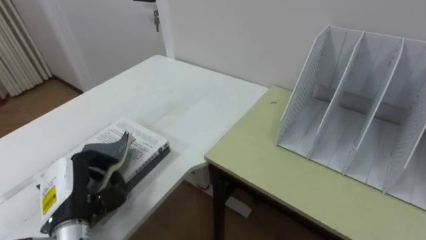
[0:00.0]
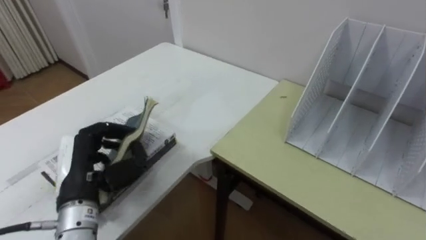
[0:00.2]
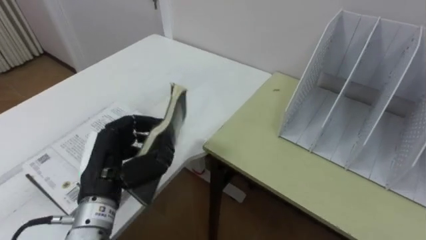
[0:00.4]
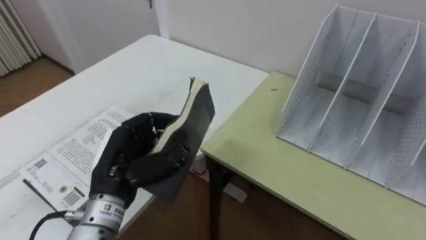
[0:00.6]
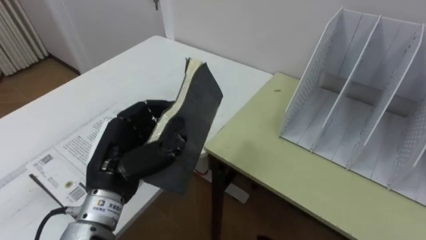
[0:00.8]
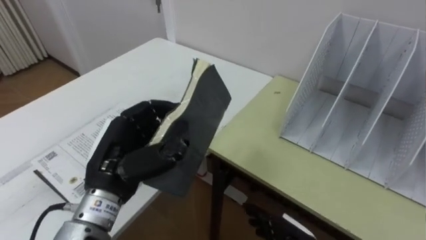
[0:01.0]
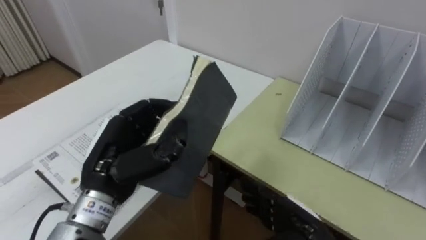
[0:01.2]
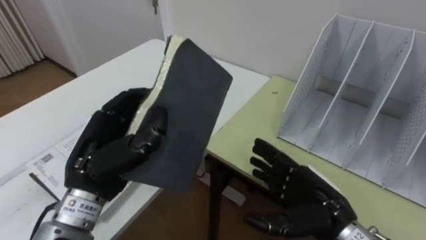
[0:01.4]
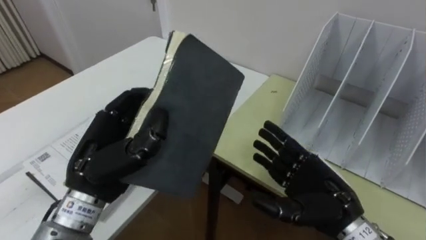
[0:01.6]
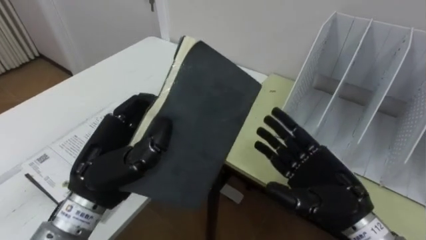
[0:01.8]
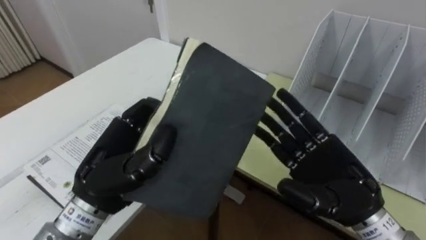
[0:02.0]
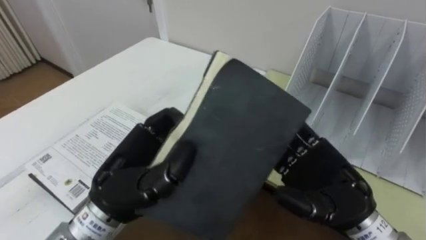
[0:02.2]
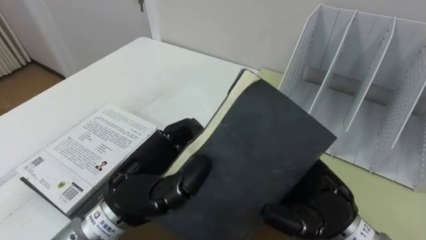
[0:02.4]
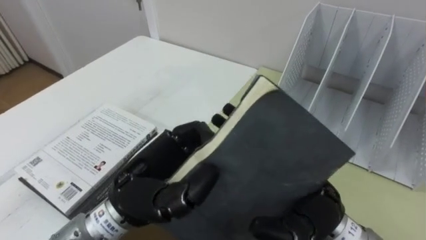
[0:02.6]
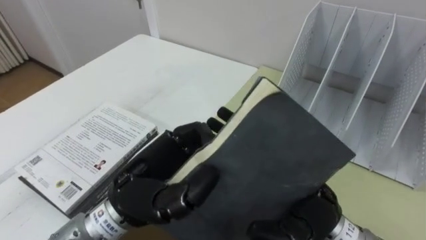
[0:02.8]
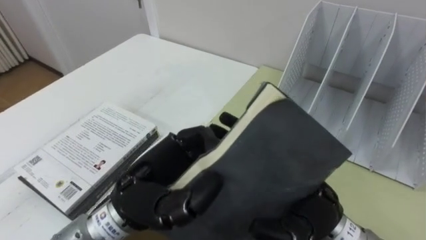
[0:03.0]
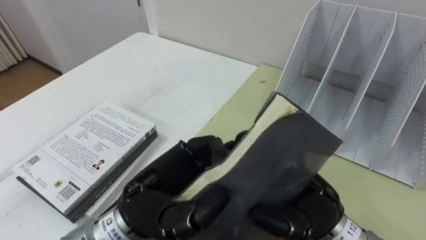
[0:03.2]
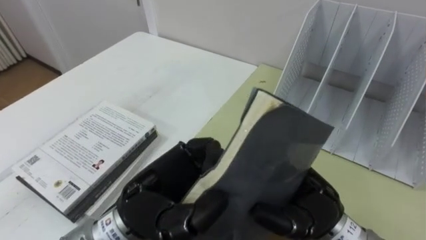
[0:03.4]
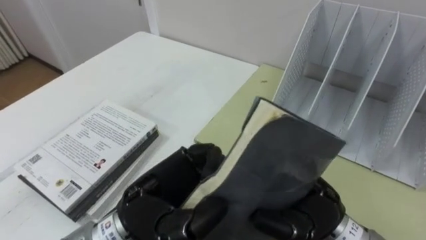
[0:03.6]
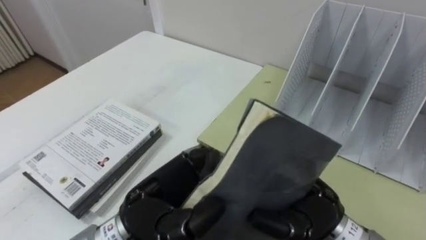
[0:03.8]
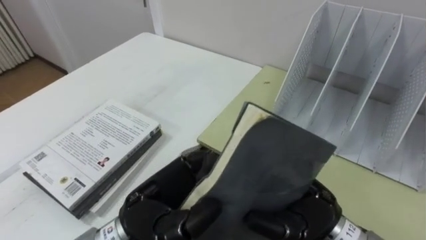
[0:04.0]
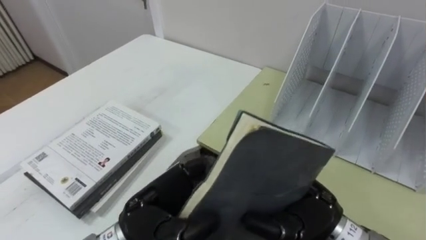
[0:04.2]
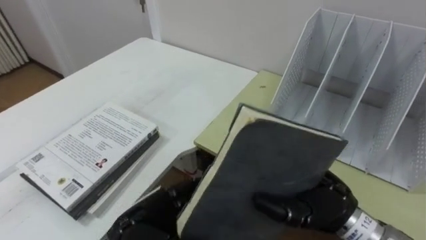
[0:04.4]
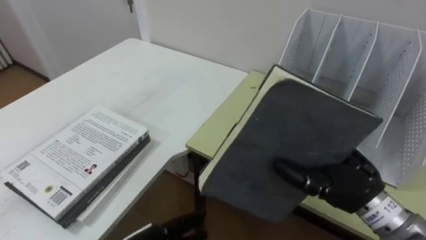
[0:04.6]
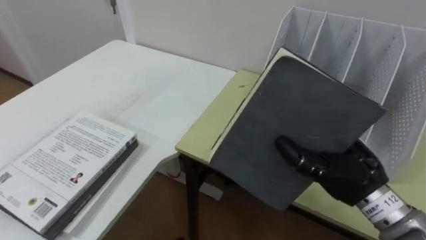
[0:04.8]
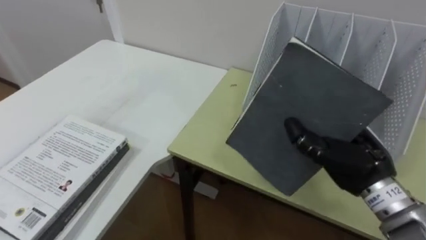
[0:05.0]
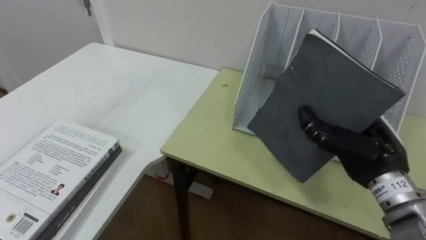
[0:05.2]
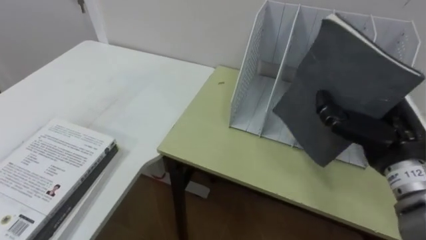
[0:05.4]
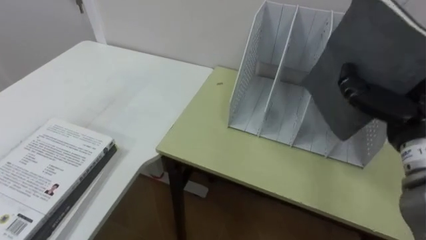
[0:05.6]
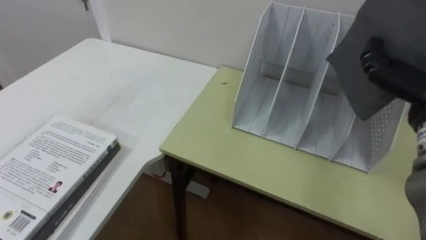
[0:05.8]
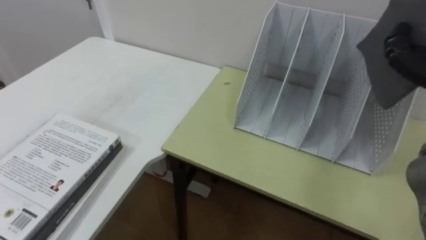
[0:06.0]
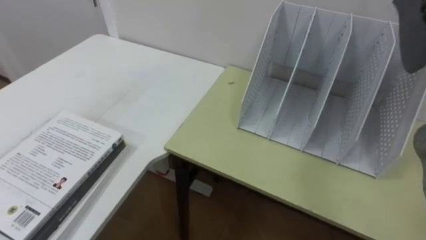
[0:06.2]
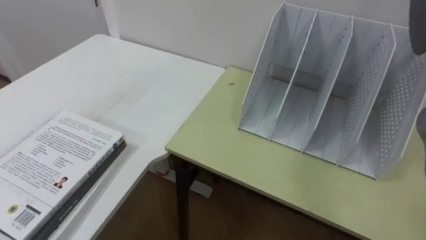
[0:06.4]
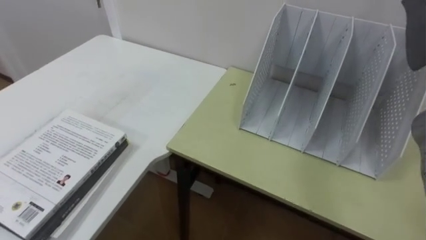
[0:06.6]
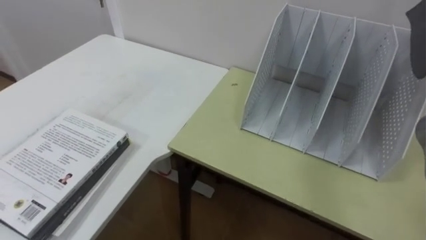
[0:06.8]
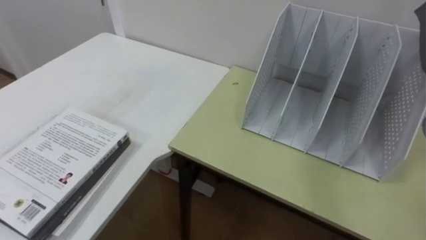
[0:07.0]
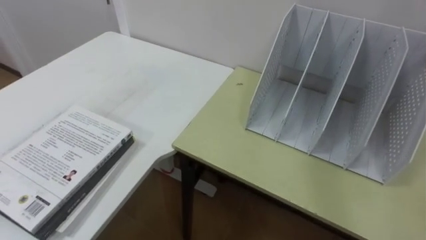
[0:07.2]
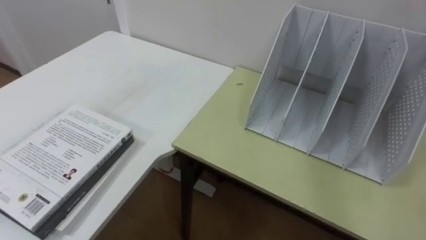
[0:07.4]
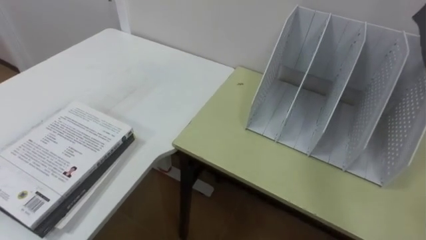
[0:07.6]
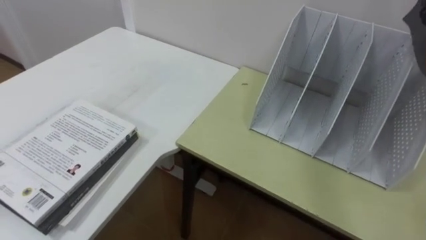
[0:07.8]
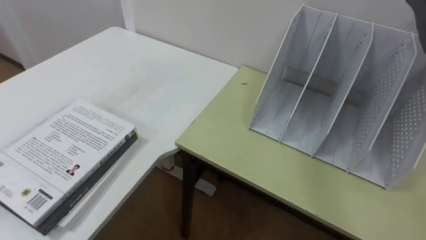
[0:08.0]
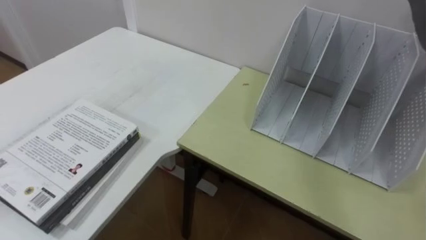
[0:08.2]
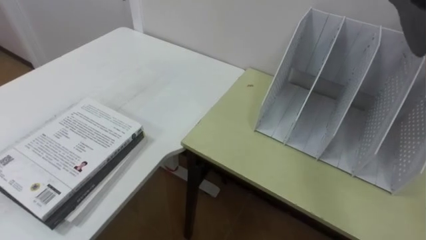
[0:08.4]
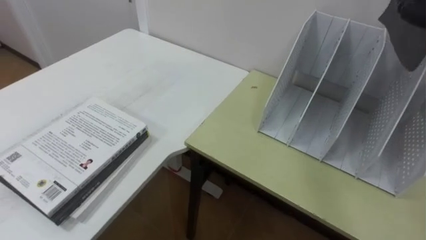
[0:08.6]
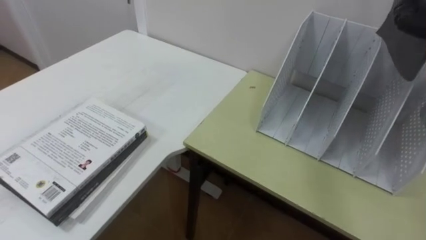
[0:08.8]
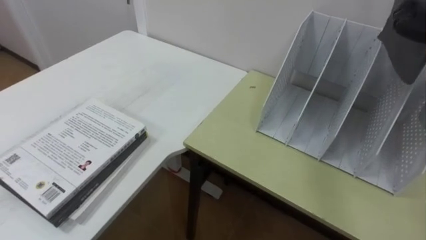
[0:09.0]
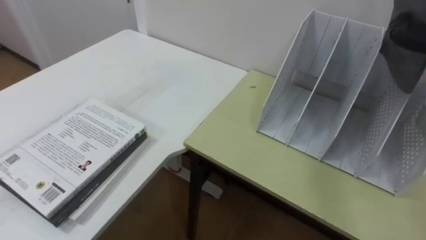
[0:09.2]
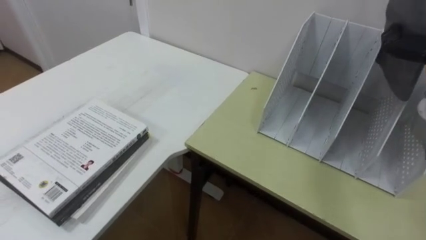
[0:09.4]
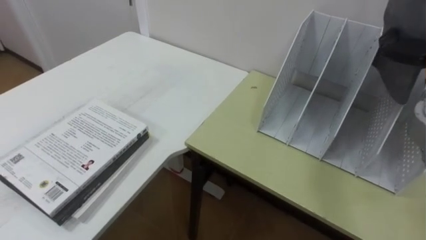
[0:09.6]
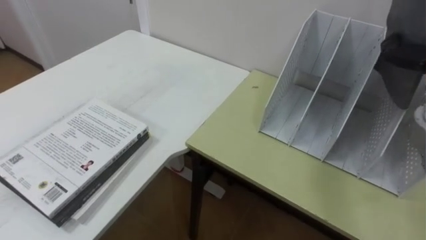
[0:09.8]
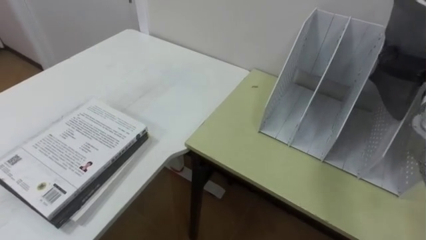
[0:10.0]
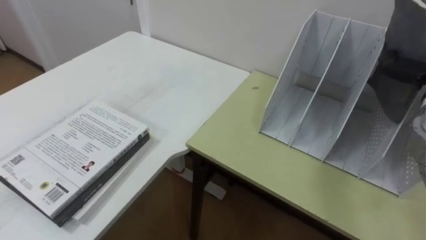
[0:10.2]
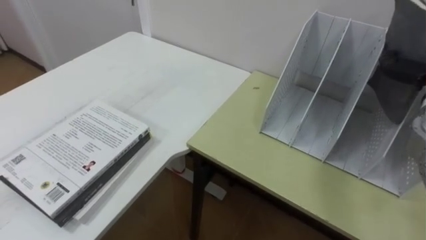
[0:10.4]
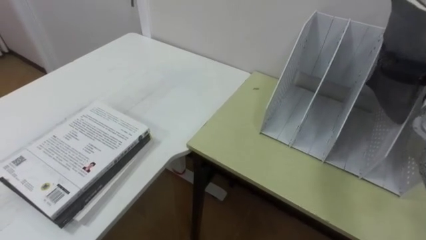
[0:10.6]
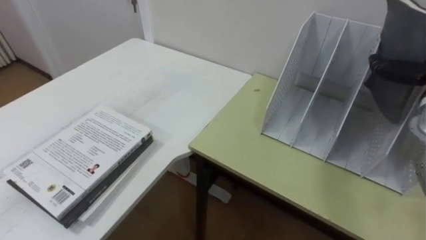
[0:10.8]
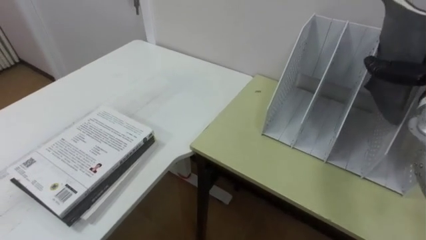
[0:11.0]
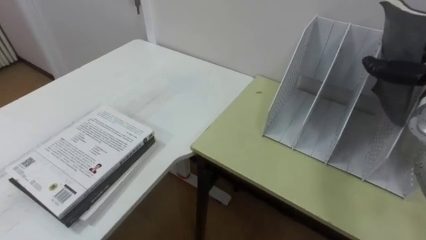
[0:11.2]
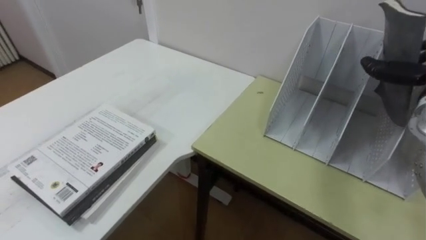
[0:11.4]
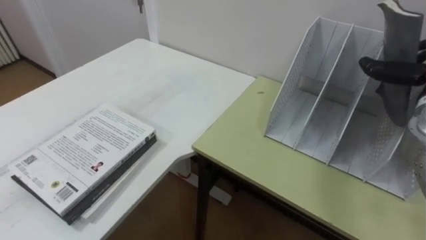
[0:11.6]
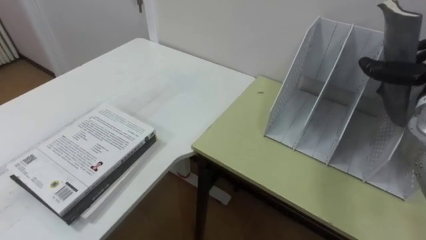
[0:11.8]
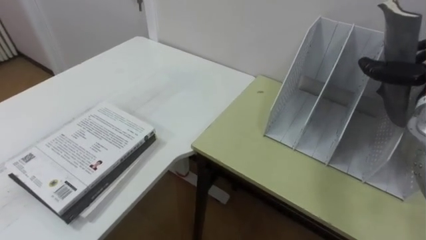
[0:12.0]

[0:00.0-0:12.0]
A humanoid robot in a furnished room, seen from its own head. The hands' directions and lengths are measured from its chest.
Task of the whole recording: Put the books on the table onto the bookshelf.
0:00.0 to 0:01.6: The left hand shifts some 15 cm upward and to the right.
0:01.6 to 0:03.0: The right hand goes roughly 10 cm to the left and upward. The left hand shifts some 10 cm to the right.
0:03.0 to 0:04.4: The right hand closes up. Meanwhile the left hand moves downward, approximately 10 cm, and opens.

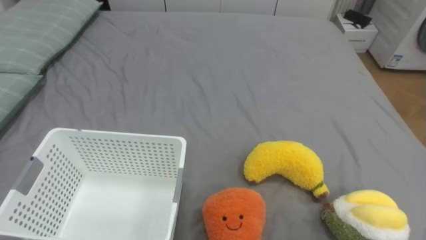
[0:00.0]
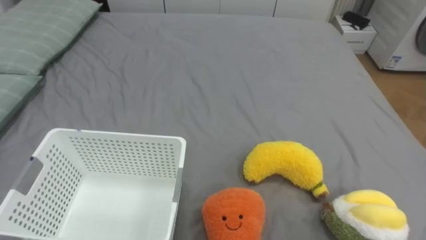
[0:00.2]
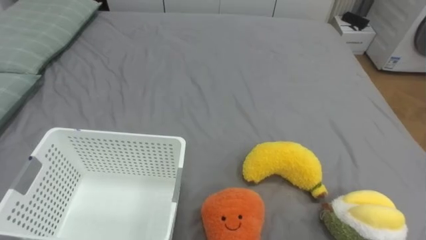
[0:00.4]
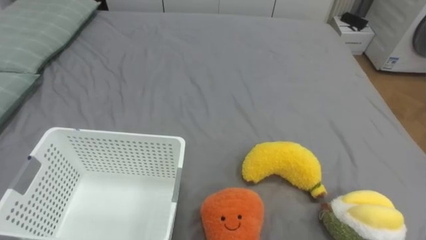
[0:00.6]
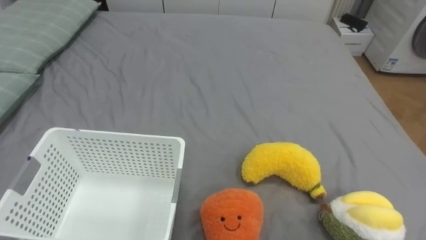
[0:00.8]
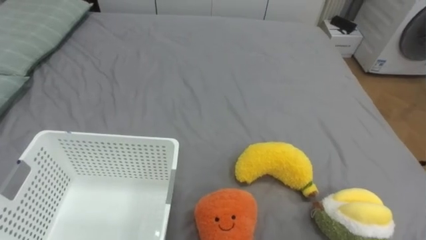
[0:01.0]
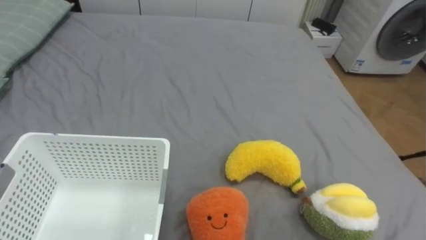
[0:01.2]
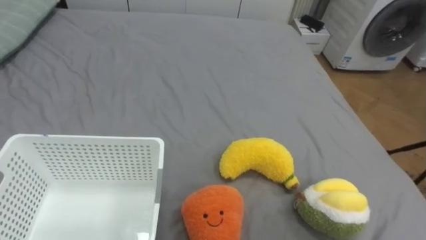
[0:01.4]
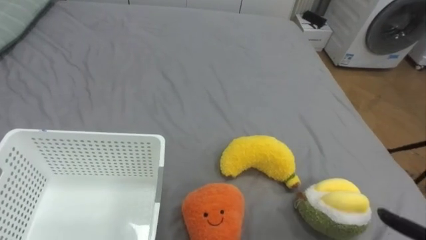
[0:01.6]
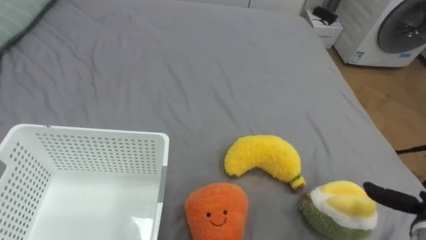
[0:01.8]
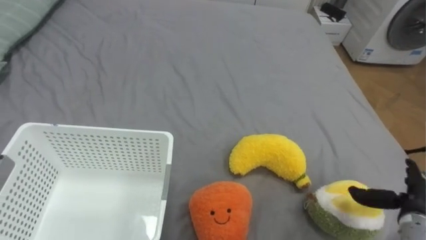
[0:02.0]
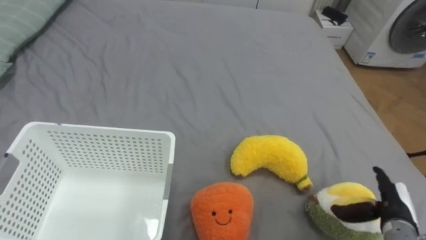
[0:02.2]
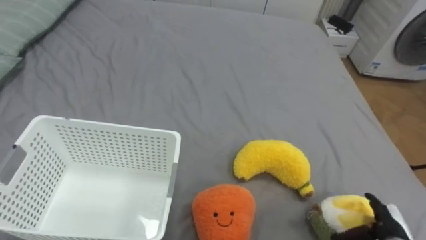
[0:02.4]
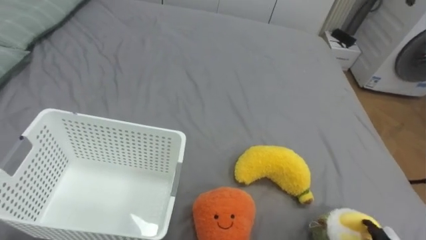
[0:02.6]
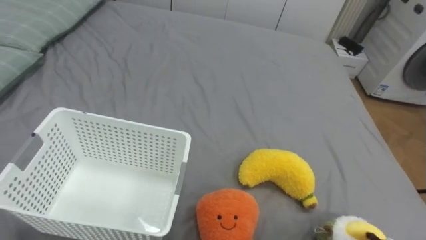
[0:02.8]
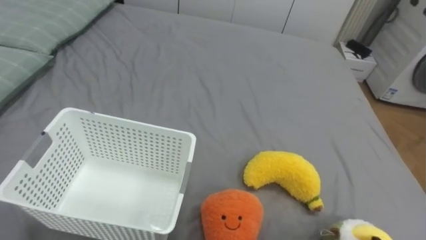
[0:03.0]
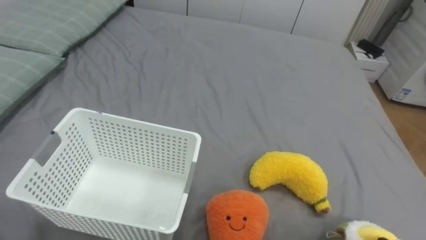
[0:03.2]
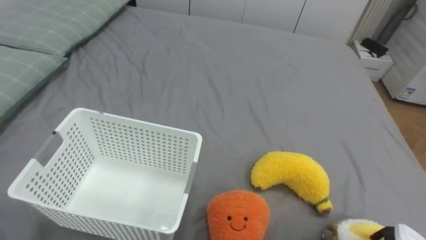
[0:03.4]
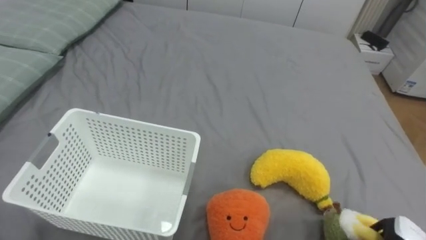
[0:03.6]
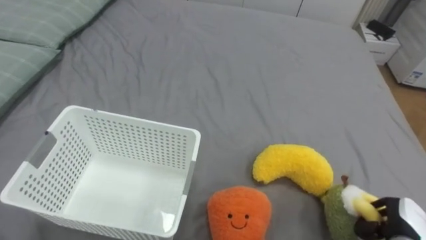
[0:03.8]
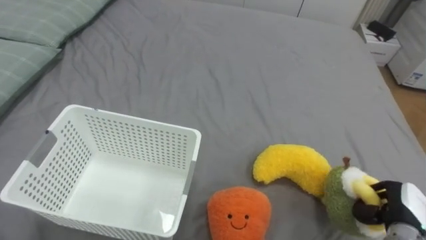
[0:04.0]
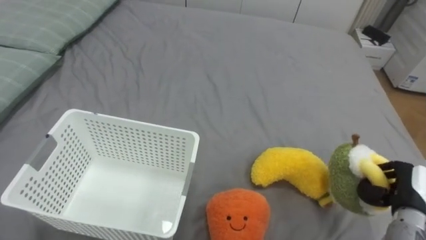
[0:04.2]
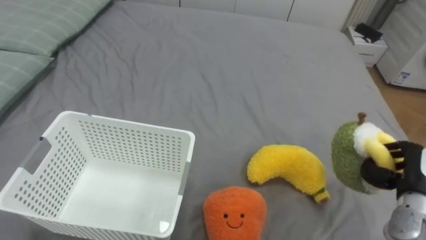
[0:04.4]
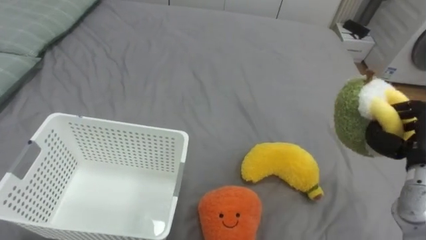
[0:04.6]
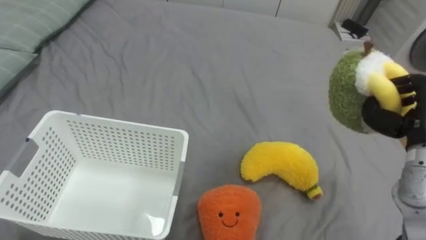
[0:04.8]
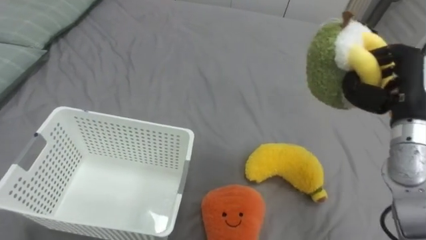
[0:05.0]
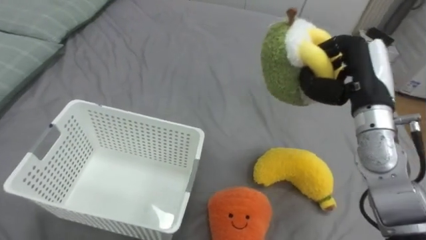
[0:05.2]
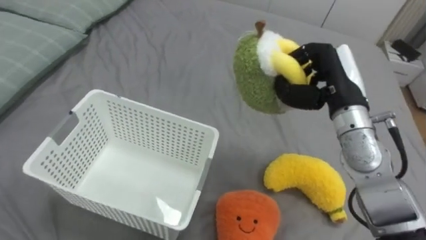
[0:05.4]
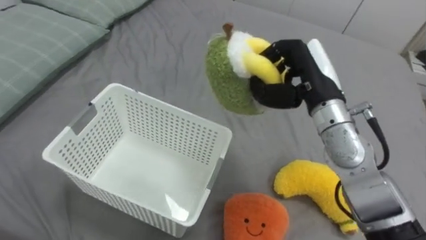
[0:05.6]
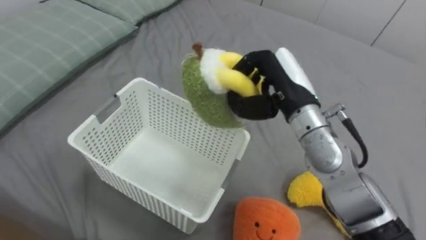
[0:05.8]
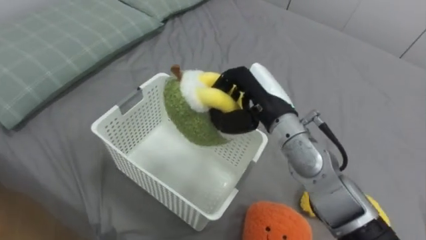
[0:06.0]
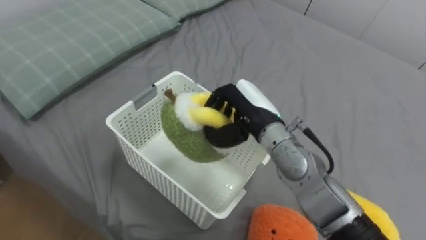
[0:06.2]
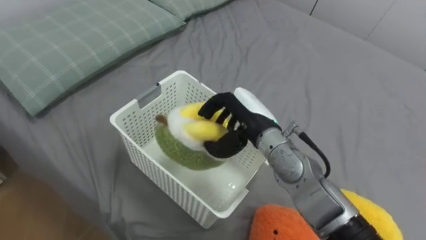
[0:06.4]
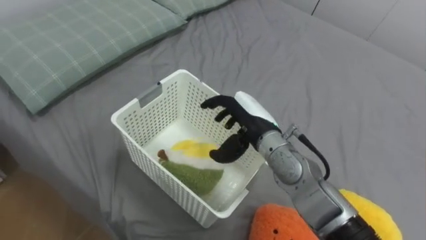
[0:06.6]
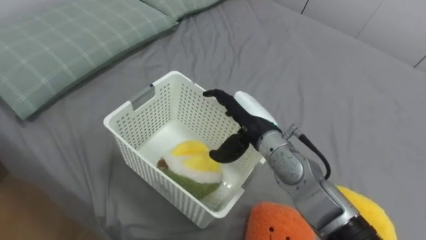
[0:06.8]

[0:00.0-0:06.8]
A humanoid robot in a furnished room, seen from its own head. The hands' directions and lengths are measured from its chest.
Task of the whole recording: Put the toys on the bed into the basket on the left.
0:05.4 to 0:06.8: The right hand heads to the left and downward, covering about 15 cm, and opens.
